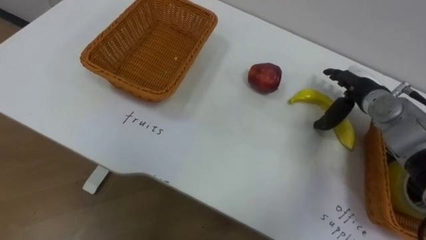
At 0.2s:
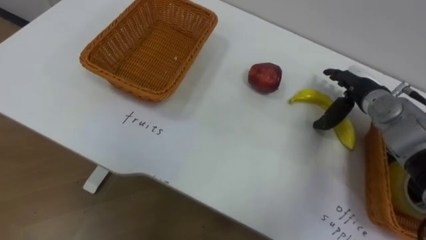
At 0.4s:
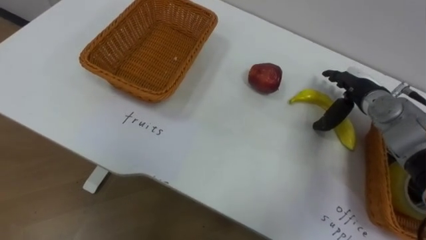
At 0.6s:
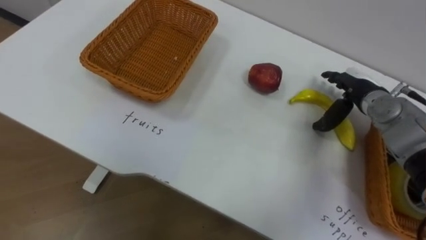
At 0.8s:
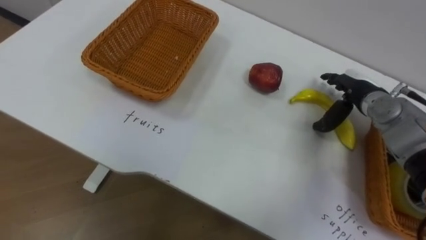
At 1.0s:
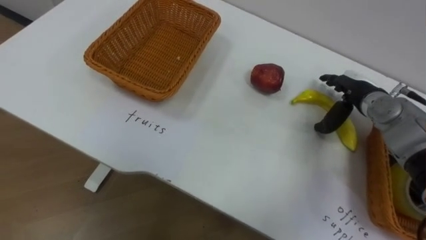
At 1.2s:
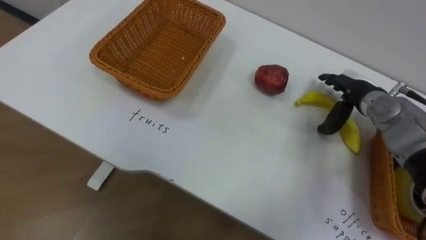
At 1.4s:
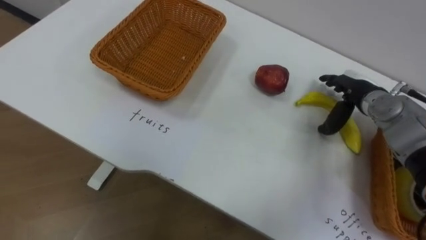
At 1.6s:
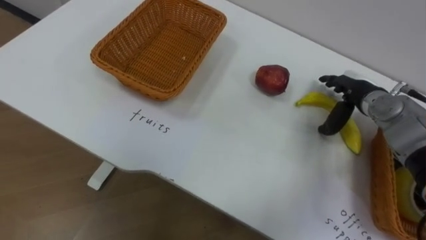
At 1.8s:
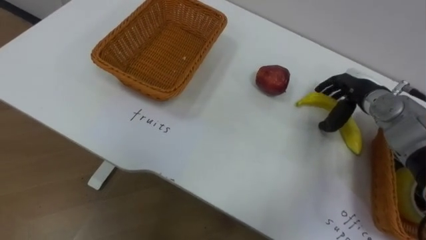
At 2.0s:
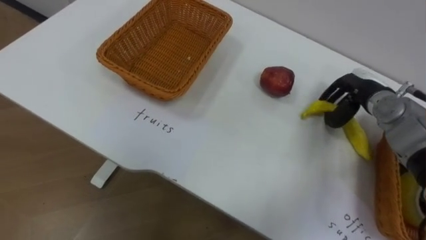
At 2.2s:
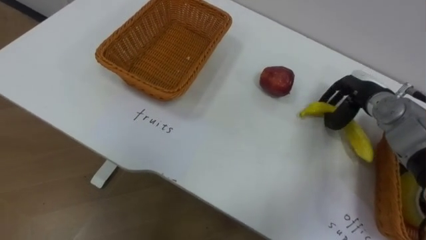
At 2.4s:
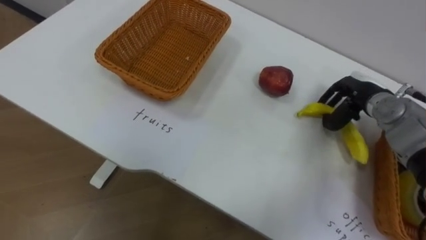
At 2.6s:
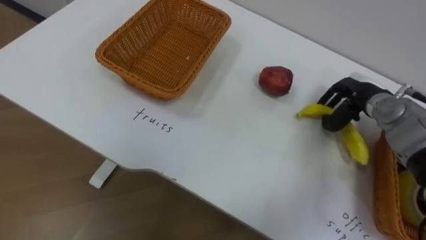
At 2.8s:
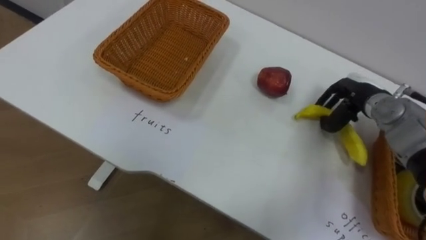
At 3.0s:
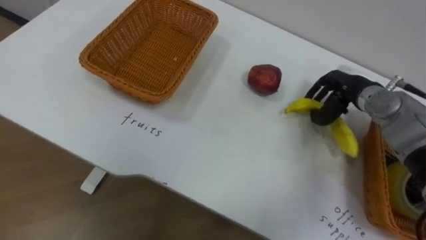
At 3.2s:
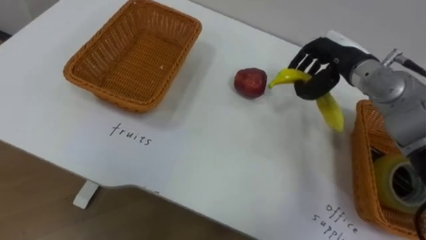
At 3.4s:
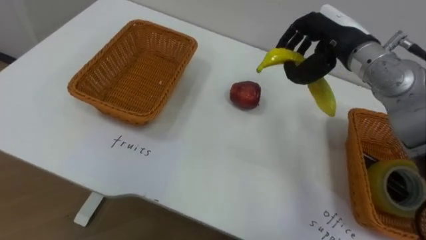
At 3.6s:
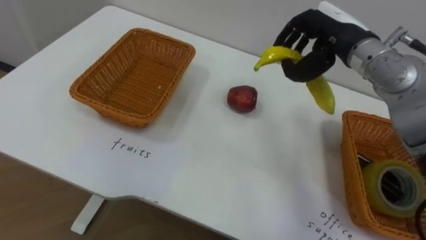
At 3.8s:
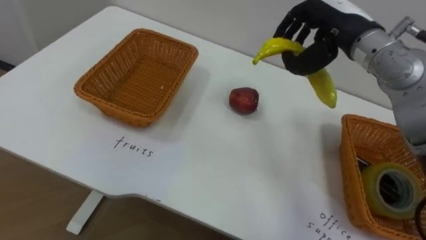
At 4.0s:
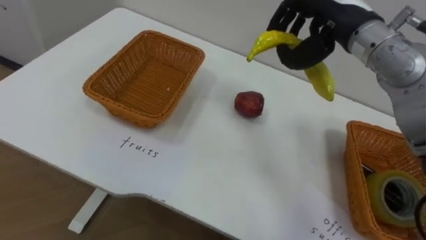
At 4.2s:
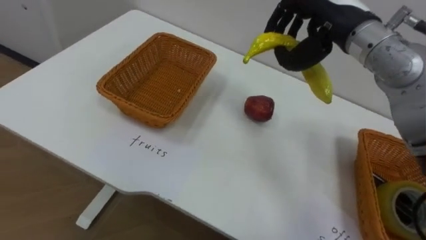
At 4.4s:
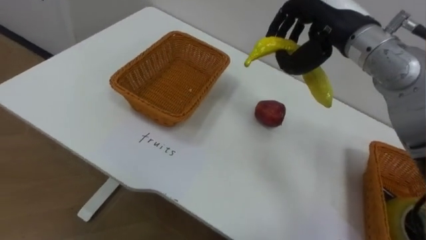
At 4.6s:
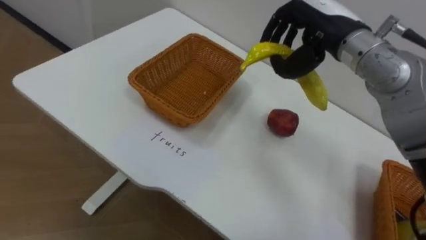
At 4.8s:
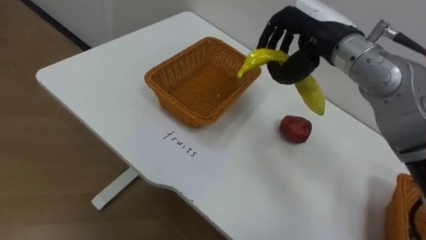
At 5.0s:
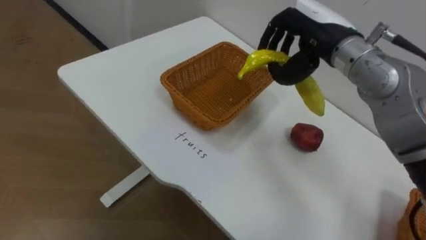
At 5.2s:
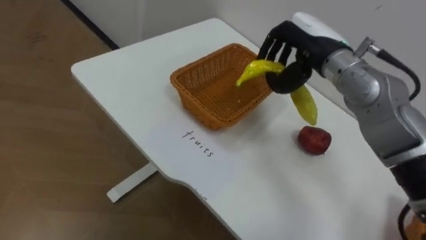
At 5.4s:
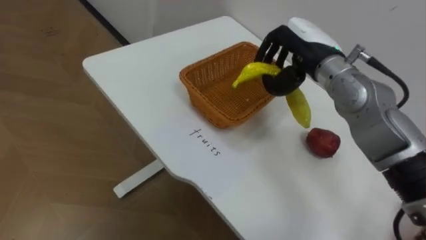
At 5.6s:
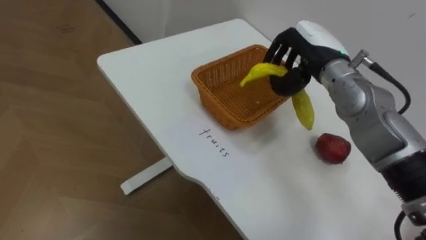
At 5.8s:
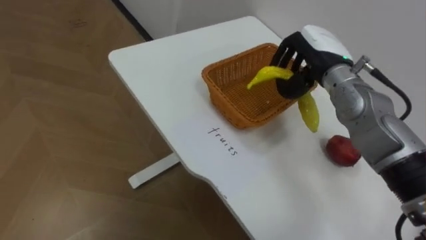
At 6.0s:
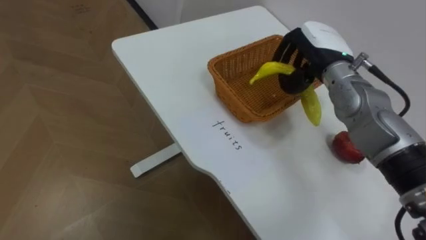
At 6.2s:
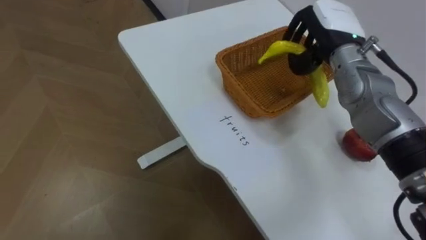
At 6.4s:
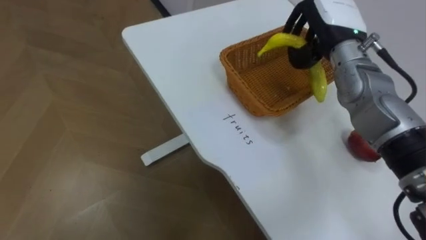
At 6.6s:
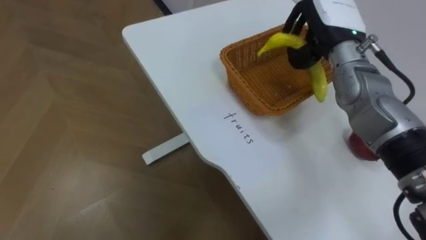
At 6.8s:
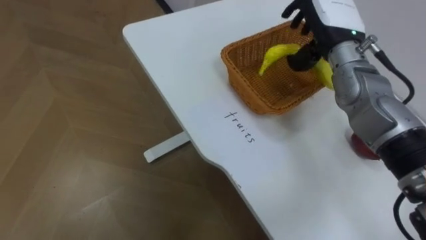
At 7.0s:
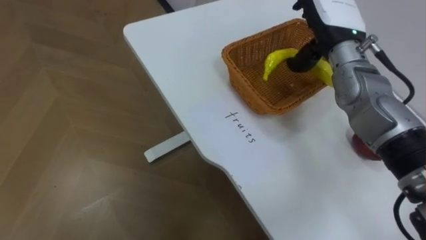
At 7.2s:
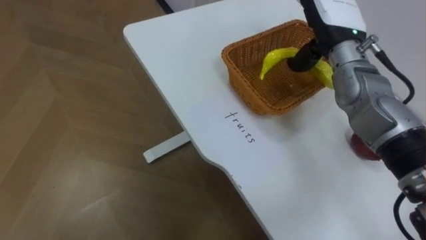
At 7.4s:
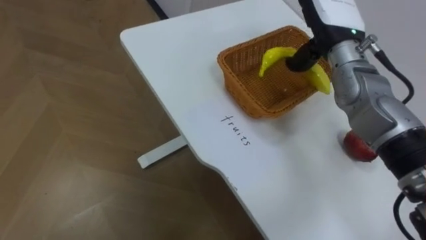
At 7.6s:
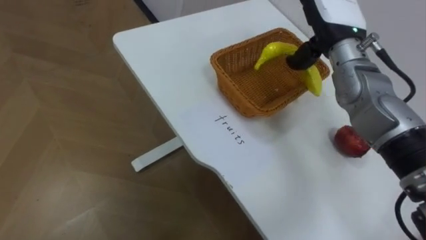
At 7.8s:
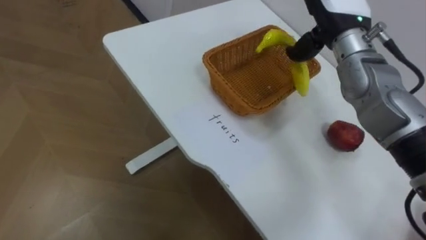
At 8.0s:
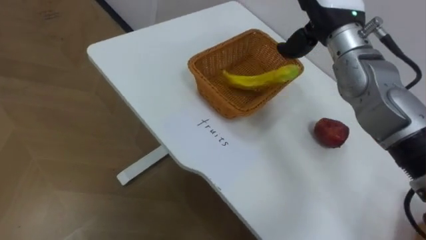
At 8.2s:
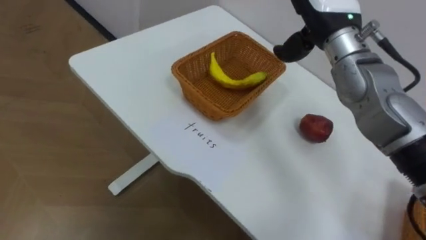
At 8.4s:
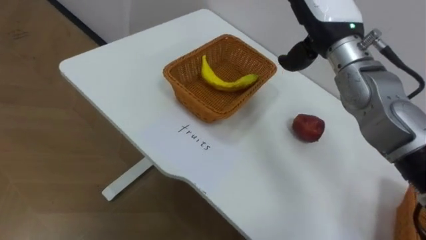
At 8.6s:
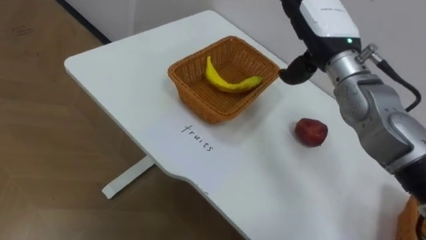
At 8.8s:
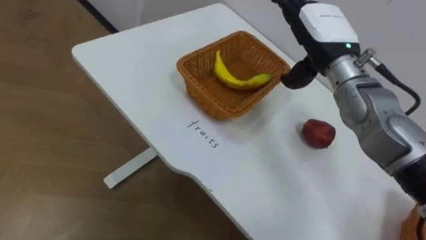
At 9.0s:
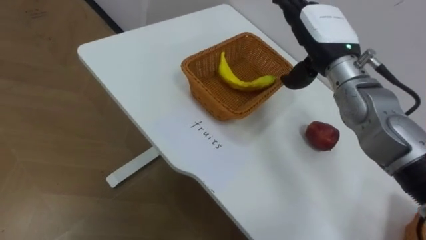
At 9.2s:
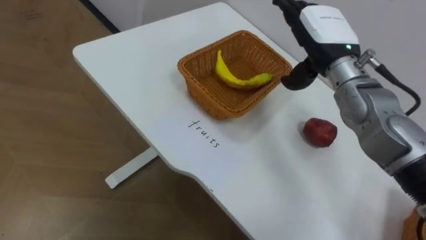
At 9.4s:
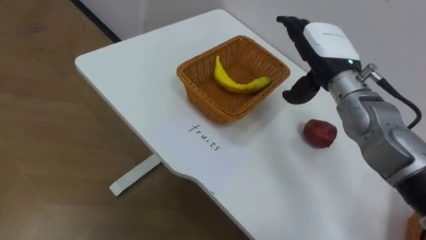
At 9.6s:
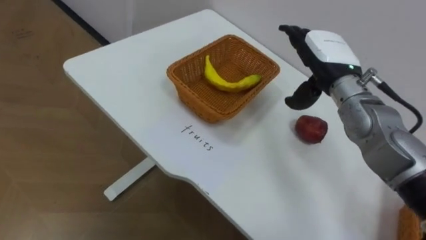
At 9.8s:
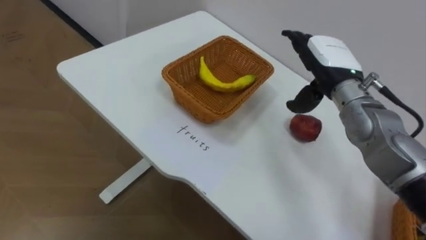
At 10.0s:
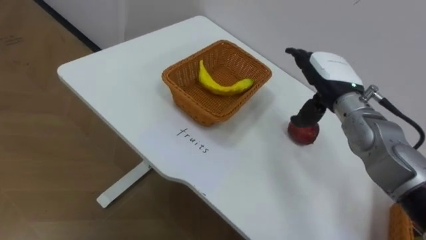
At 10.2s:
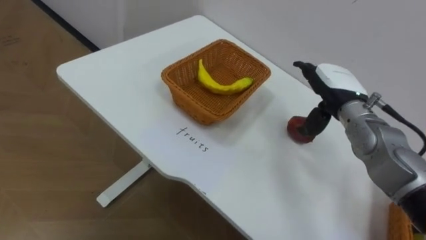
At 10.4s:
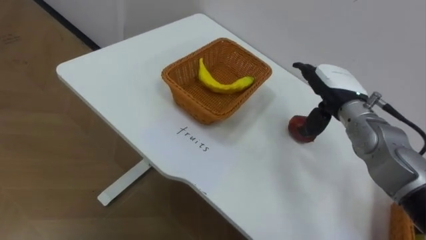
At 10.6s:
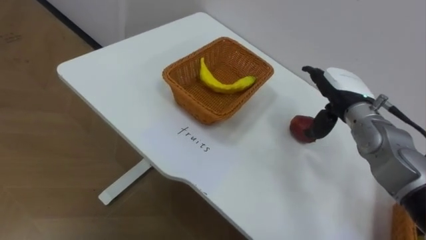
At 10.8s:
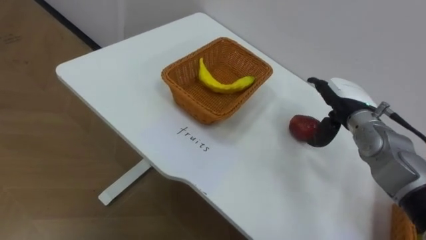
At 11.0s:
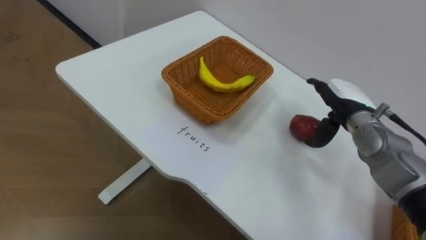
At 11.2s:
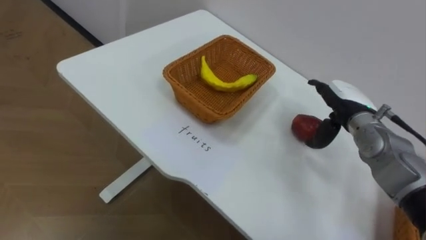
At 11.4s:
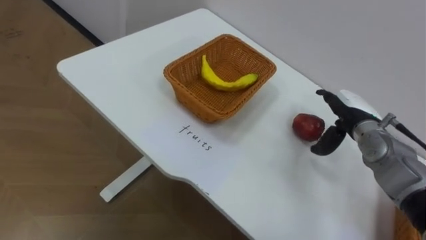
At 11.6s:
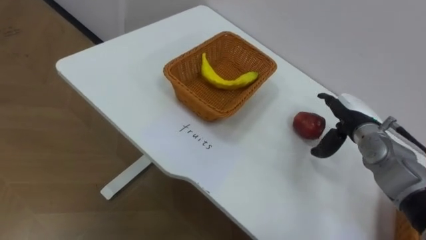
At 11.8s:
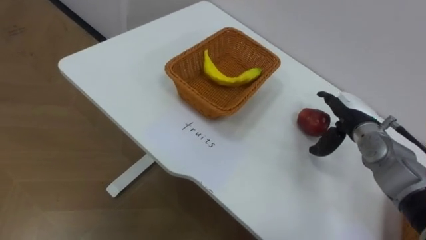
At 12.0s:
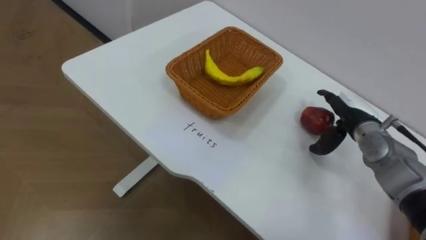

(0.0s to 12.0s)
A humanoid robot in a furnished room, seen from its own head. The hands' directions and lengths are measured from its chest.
Task of the whole recording: Separate the items on the table and place them into the two baskets.
1.6s - 3.0s: The right hand closes up.
3.0s - 4.4s: The right hand goes about 20 cm upward and to the left.
4.4s - 6.0s: The right hand is displaced downward by roughly 10 cm.
6.0s - 7.6s: The right hand ends up roughly 5 cm from where it was, and opens.
9.0s - 10.4s: The right hand travels downward and to the right by approximately 10 cm.
10.4s - 12.0s: The right hand heads downward, covering roughly 5 cm.

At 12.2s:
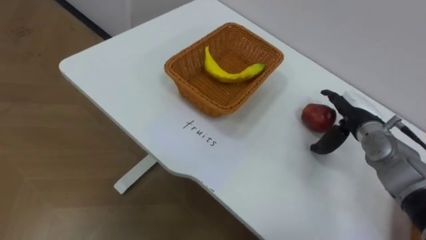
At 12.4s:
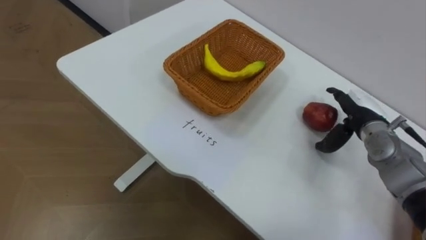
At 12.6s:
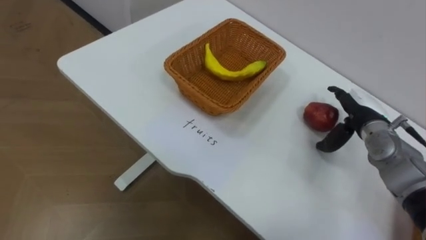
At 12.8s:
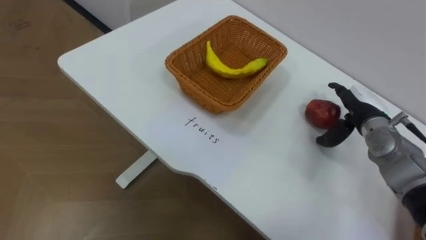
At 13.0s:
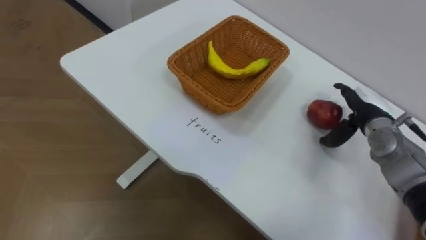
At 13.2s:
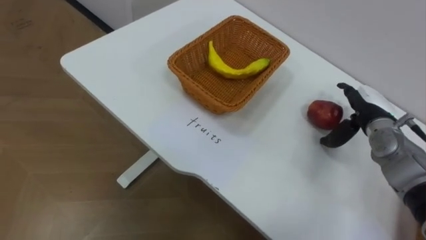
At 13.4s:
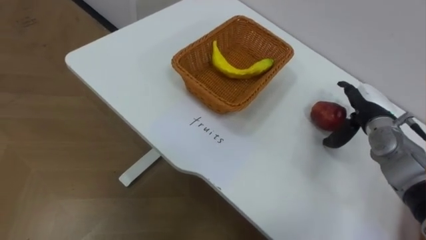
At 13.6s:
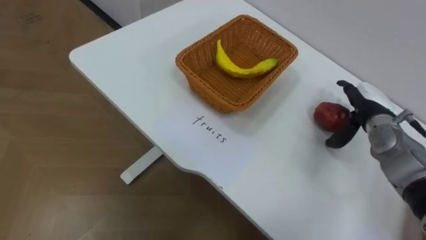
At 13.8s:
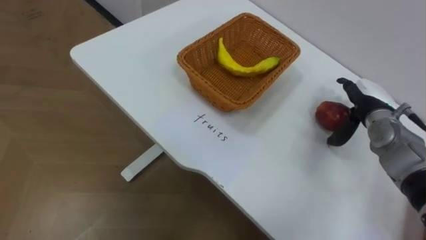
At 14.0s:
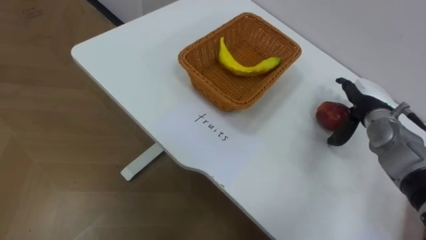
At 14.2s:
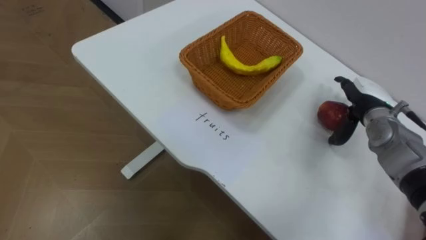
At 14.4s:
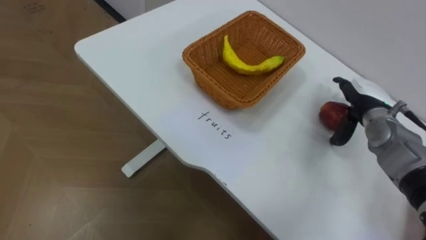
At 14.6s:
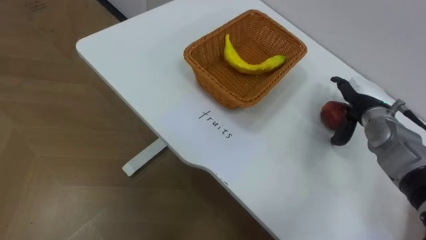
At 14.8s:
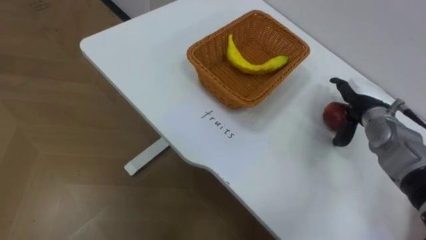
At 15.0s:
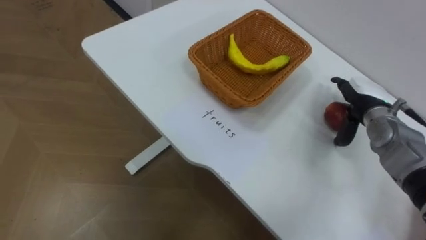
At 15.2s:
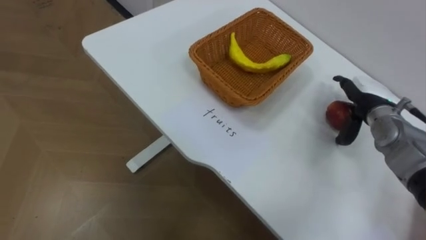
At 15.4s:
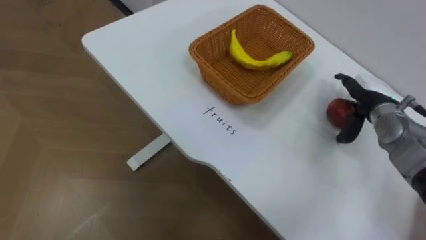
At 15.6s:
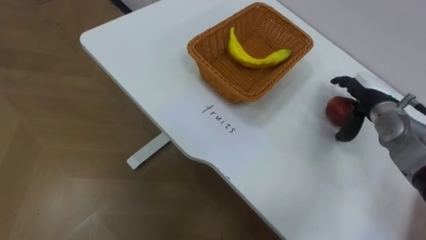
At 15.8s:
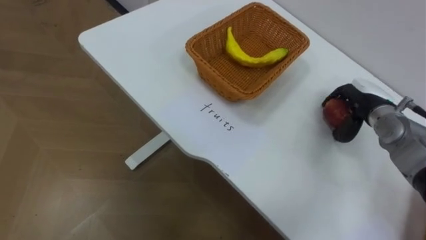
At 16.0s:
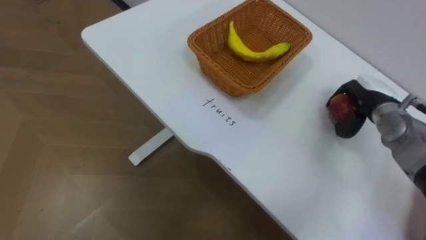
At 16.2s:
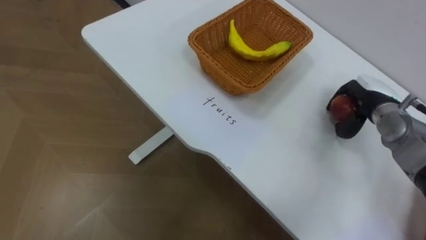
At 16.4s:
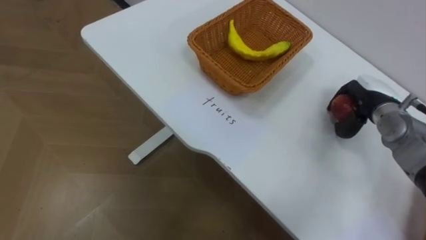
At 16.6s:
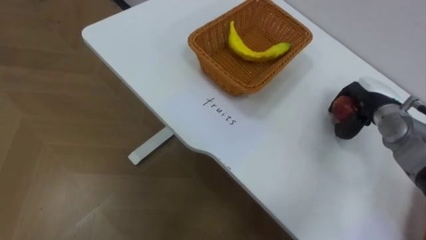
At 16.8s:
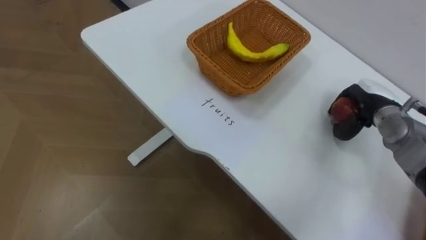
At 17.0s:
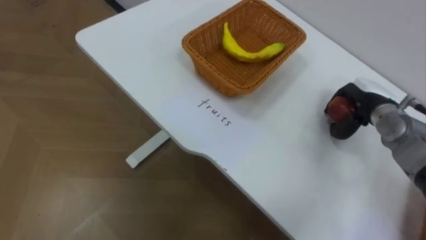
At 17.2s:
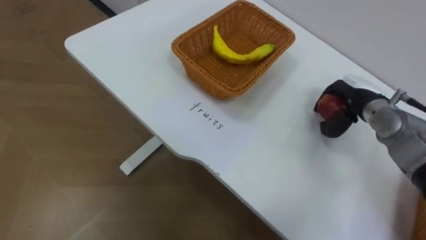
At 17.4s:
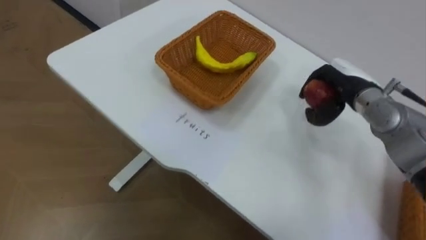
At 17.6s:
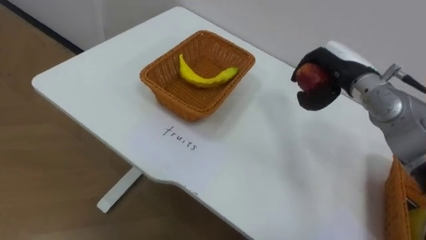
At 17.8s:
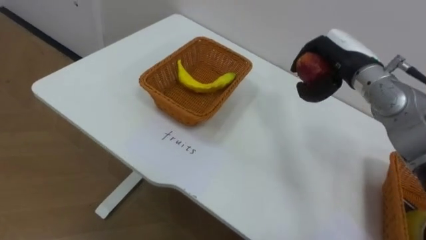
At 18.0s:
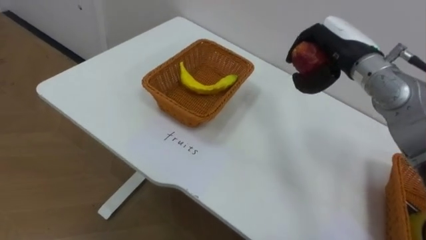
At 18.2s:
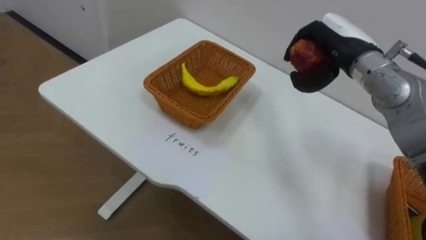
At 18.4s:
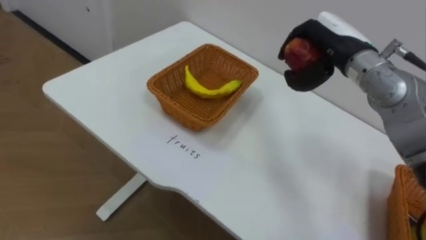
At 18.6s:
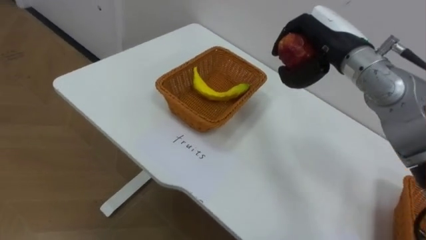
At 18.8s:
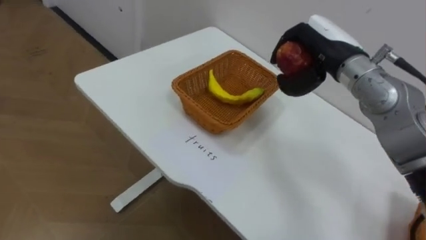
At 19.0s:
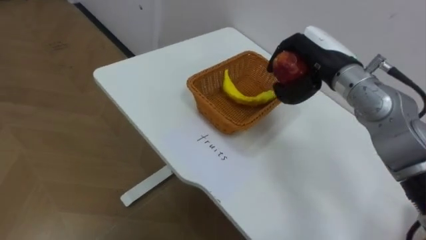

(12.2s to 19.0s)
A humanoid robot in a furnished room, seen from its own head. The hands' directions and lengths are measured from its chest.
Task of the whole recording: Separate the items on the table and place them into the two baskets.
15.0s - 16.2s: The right hand closes its fingers.
16.2s - 17.6s: The right hand is displaced to the left and upward by about 10 cm.
17.6s - 19.0s: The right hand shifts by roughly 5 cm.
